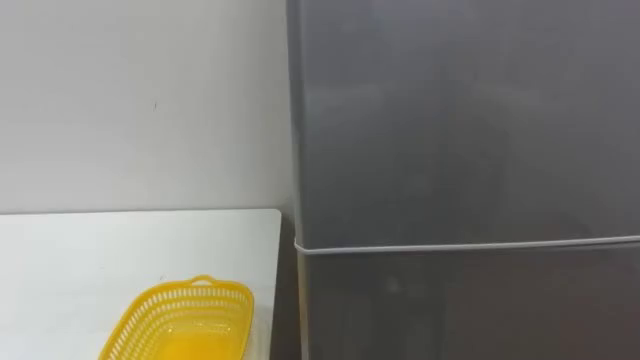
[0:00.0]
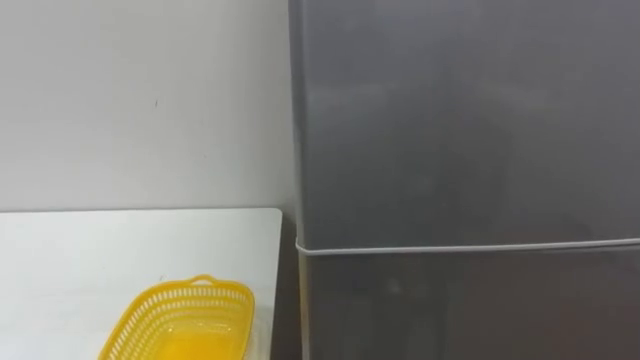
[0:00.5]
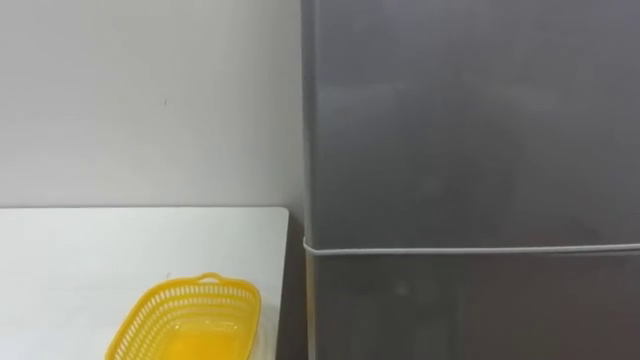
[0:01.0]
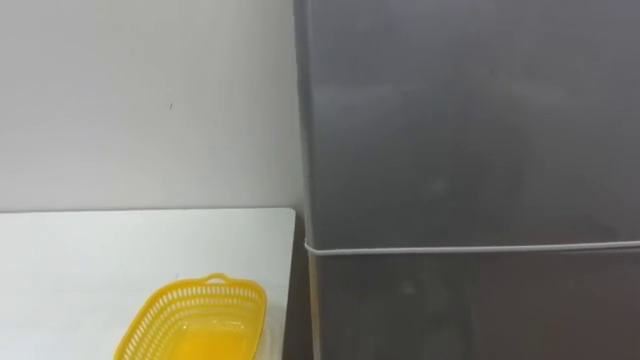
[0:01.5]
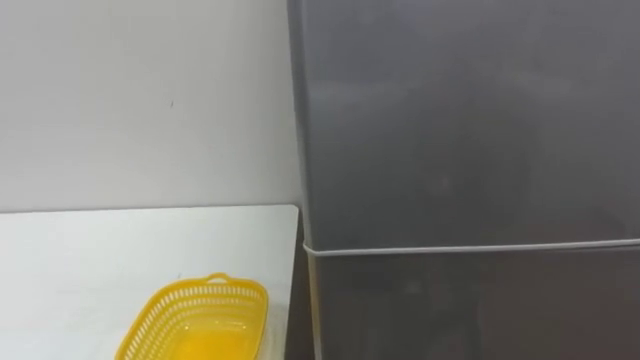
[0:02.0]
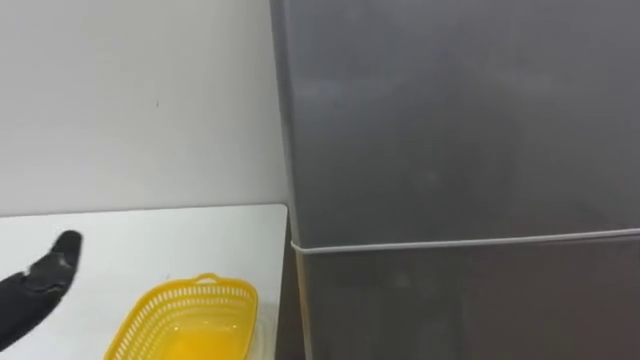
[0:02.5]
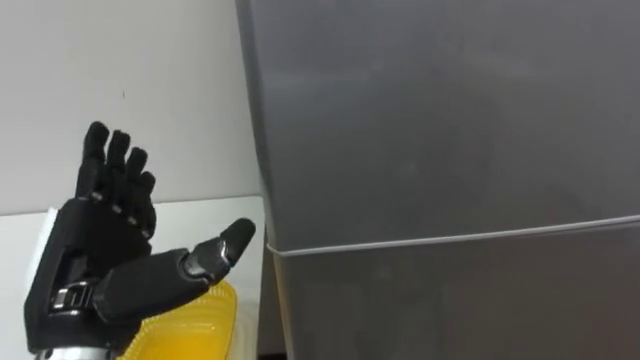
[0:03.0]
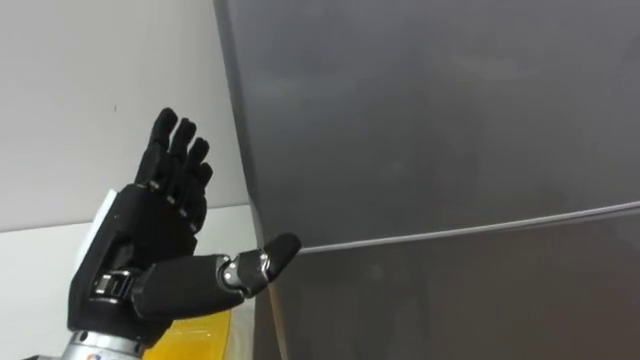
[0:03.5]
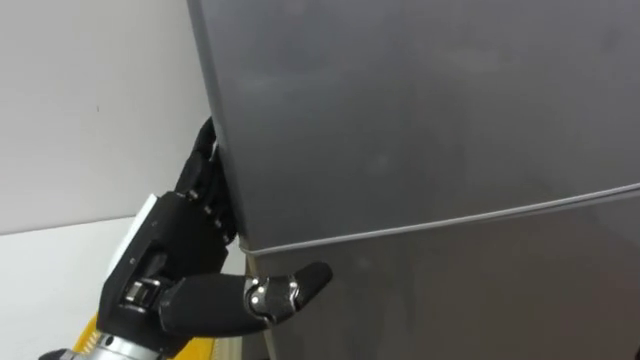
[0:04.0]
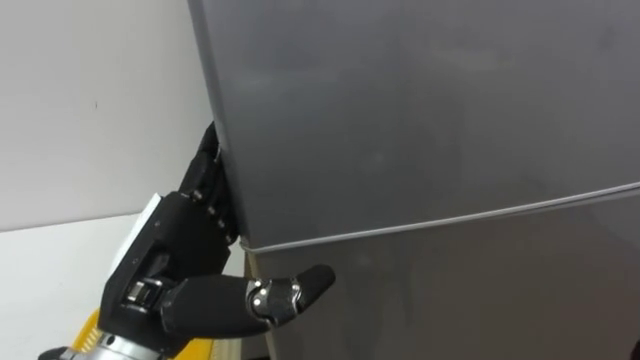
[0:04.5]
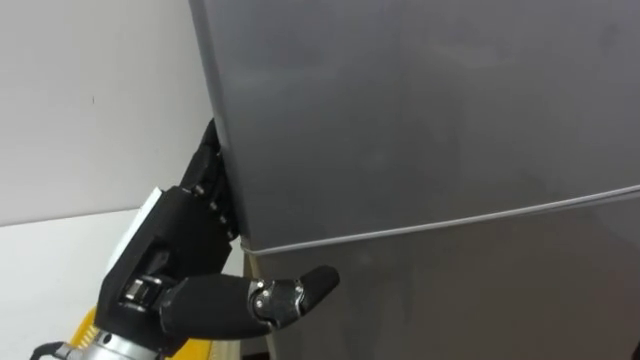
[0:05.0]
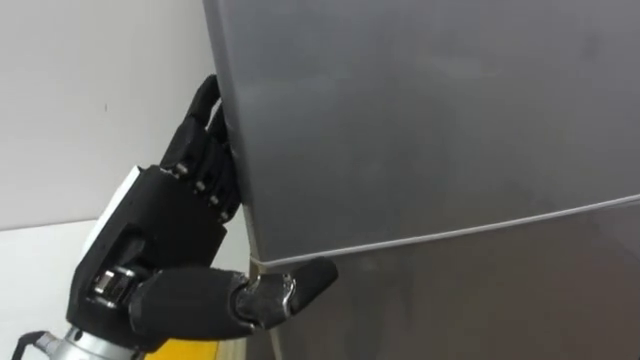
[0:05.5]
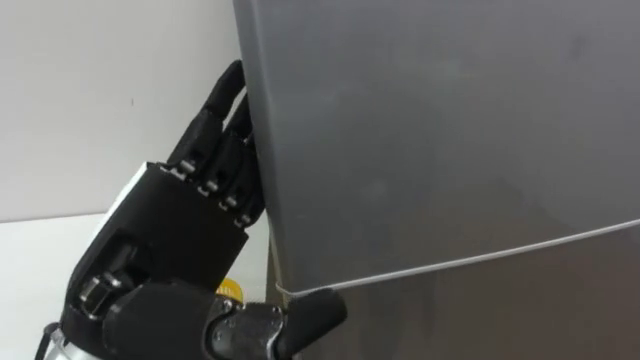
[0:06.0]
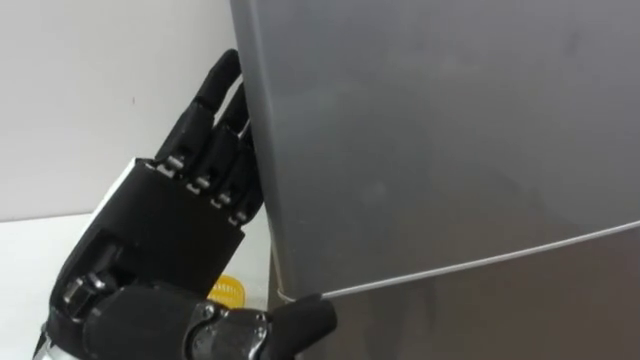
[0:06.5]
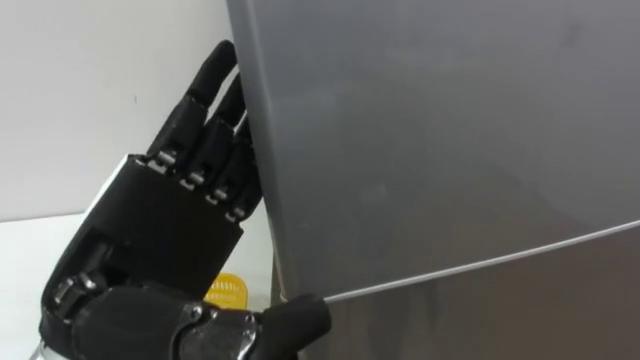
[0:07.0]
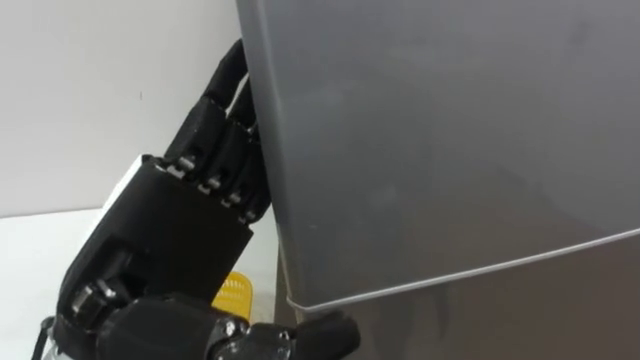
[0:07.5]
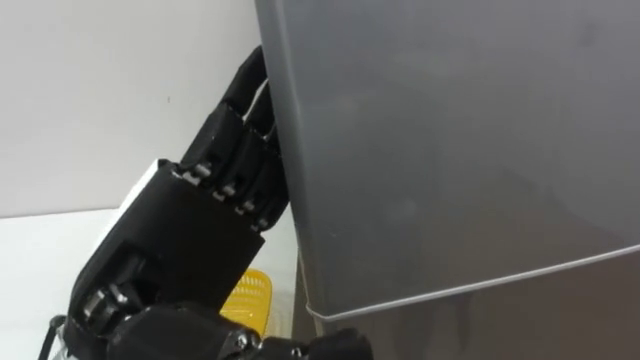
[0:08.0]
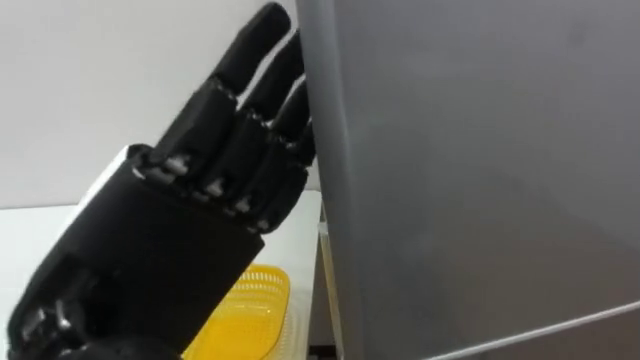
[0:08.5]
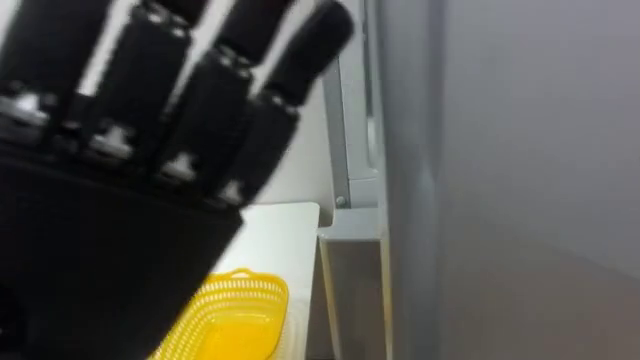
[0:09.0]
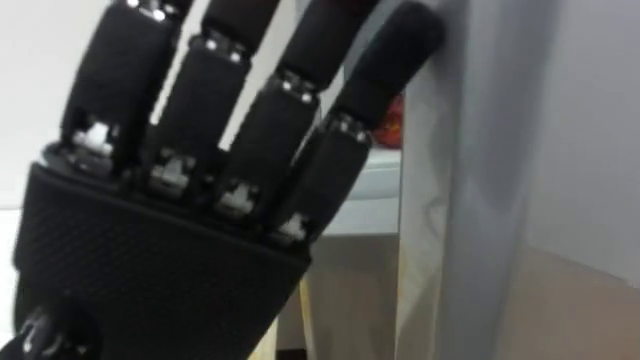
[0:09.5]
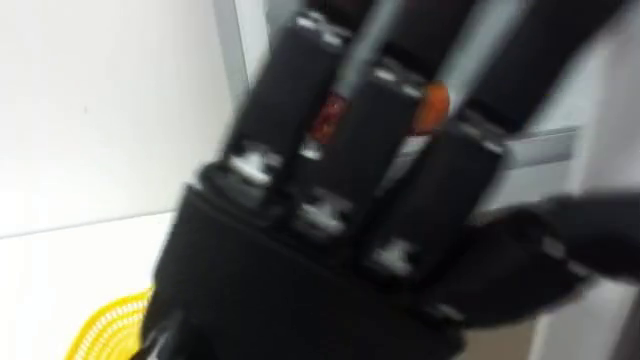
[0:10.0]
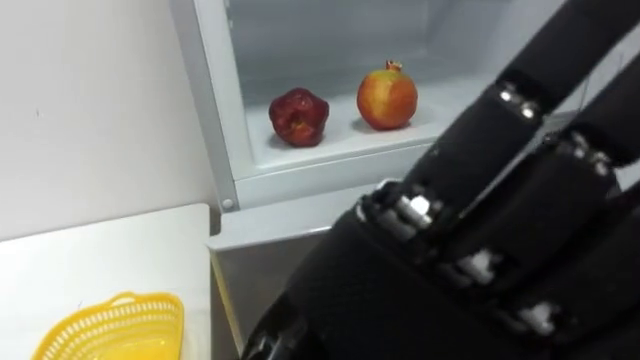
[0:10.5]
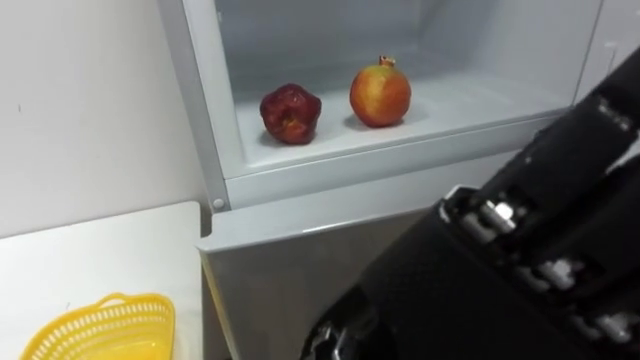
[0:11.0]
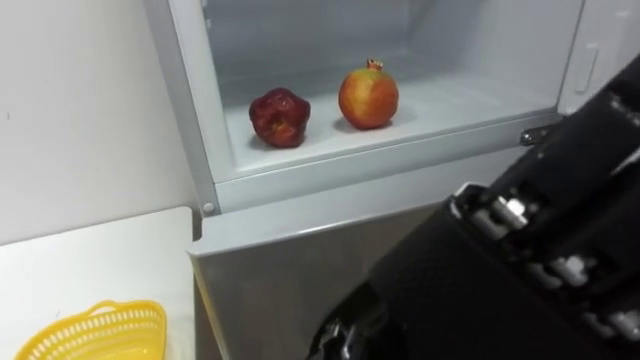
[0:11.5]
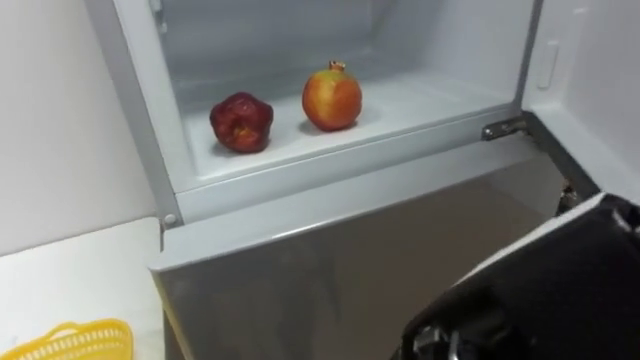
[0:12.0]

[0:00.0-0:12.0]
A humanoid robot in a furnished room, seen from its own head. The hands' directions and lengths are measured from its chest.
Task of the whole recording: Open the refrigerator door, take out the apple and the pomegranate, place them in the fruit basket on the left, and close the refrigerator door.
0:04.0 to 0:06.0: The left hand shifts by about 5 cm.
0:08.0 to 0:10.0: The left hand goes roughly 10 cm backward and to the right.
0:10.0 to 0:12.0: The left hand shifts roughly 10 cm to the right.

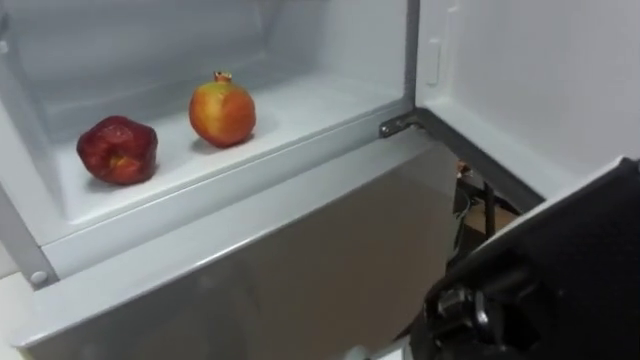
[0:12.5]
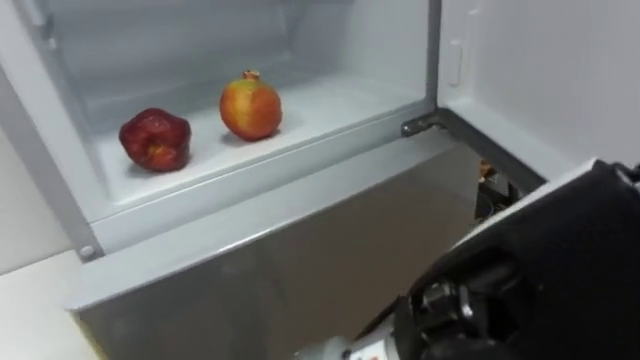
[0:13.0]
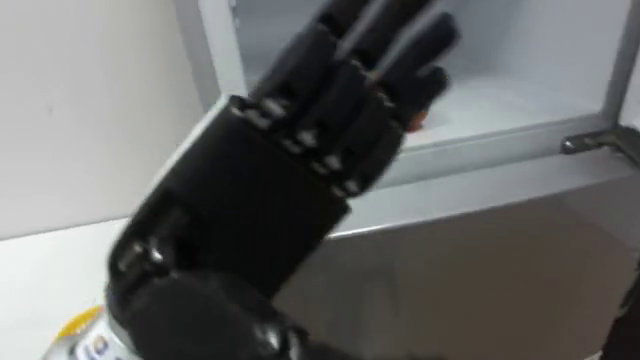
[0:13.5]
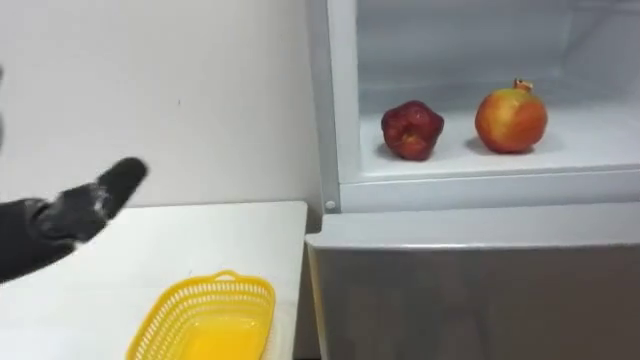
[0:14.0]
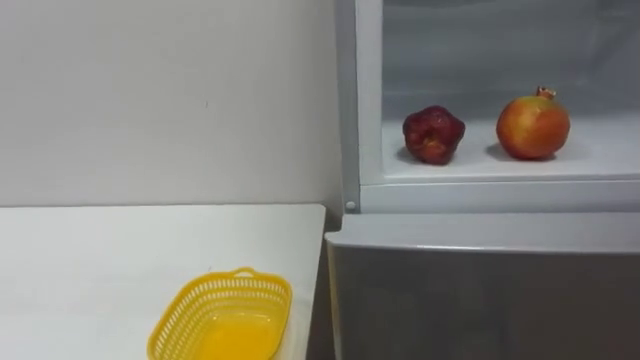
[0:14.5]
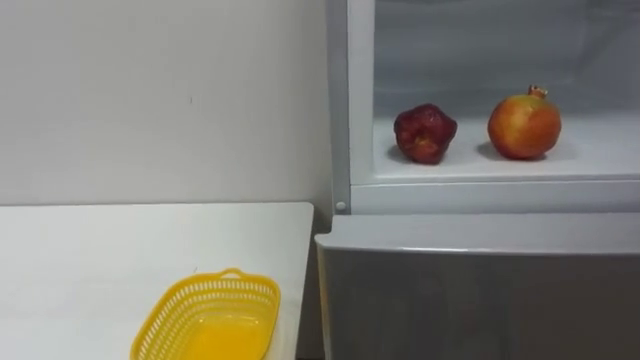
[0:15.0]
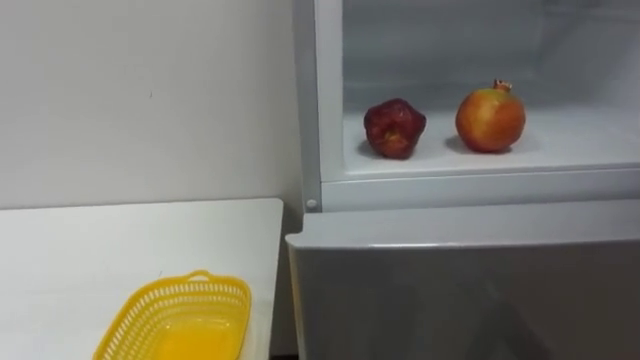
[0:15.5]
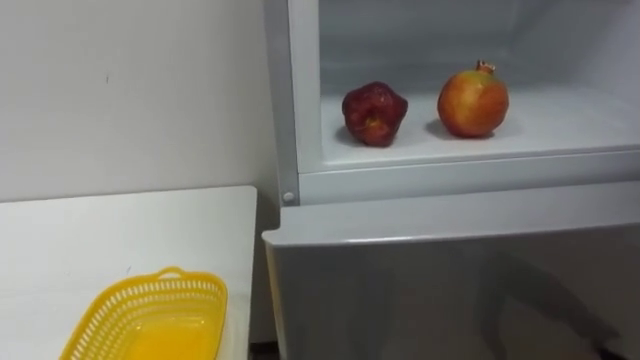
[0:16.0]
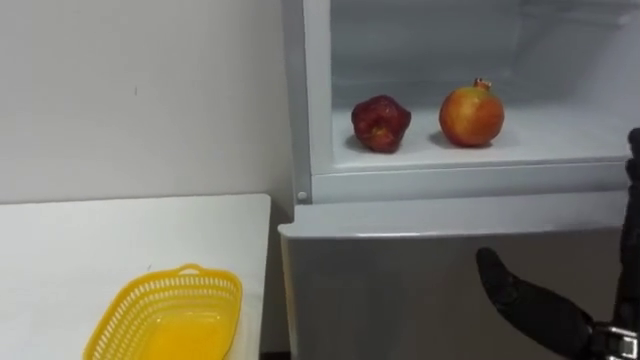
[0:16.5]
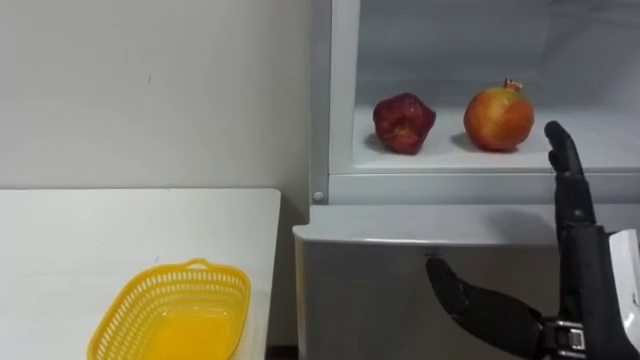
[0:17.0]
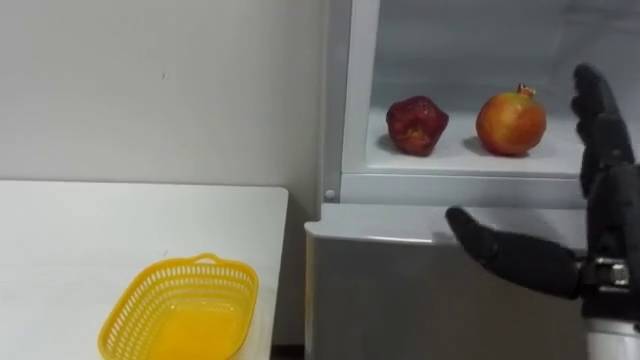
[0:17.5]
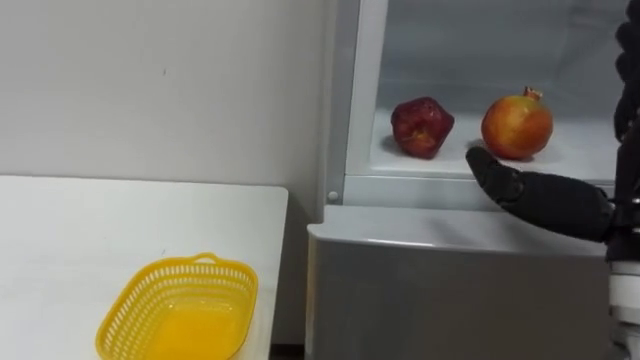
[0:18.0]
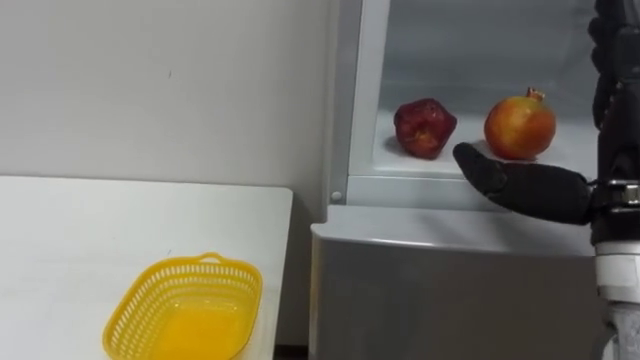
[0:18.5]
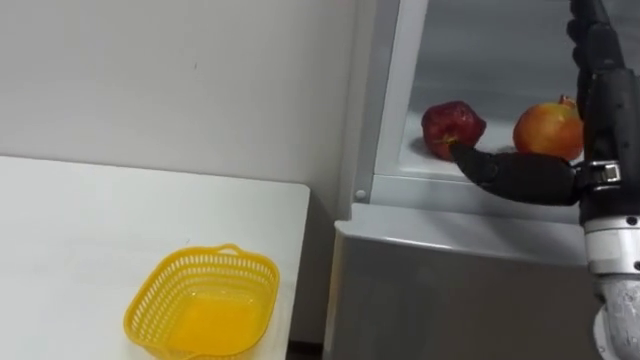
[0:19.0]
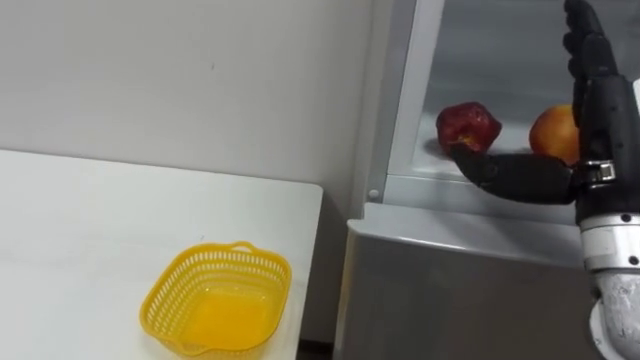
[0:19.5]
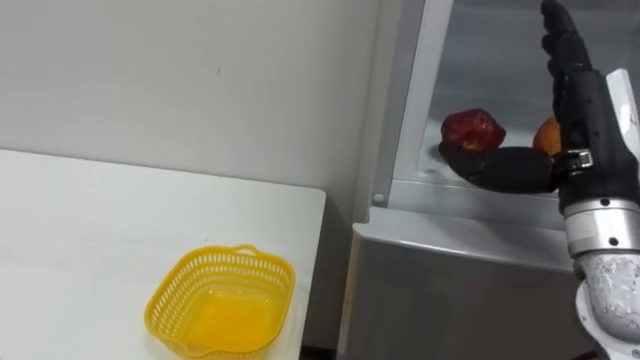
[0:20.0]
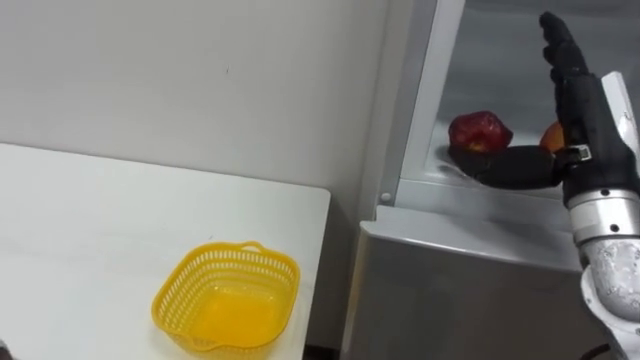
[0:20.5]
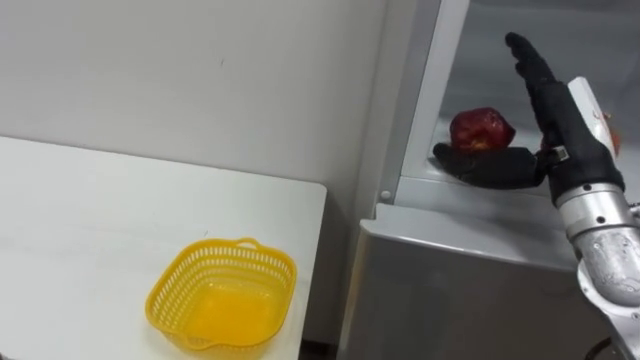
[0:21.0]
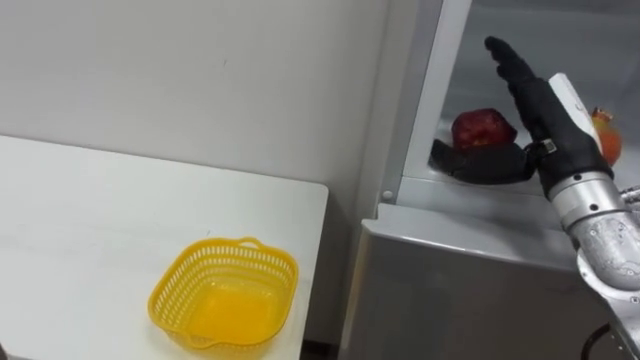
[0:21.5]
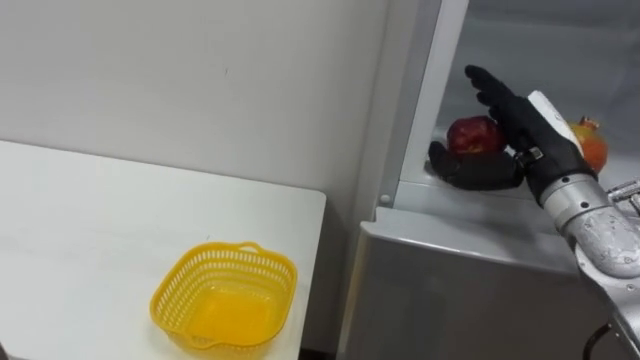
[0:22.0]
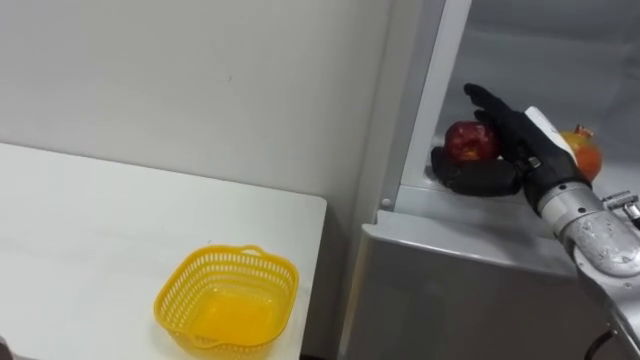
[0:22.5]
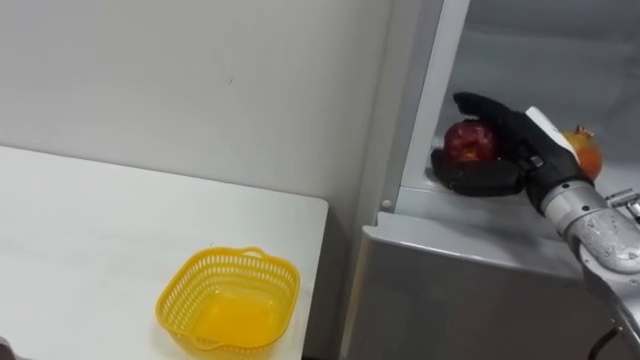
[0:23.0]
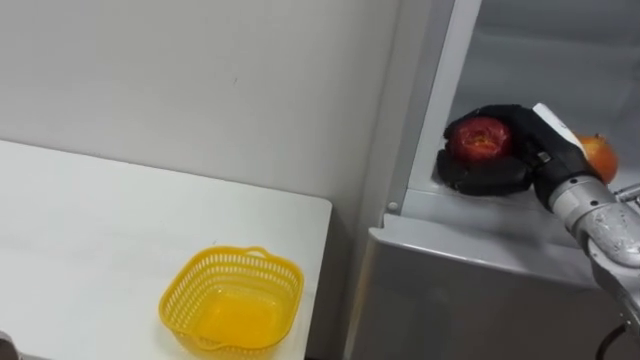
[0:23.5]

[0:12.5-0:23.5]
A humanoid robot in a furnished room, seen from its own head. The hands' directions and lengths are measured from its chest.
Task of the whole recording: Open the refrigerator door, take out the apple and the pomegranate, place them in the fruit basket on the left, and close the refrigerator door.
0:18.0 to 0:20.0: The right hand shifts some 5 cm forward.
0:21.5 to 0:23.5: The right hand shifts by roughly 5 cm, and closes its fingers.
